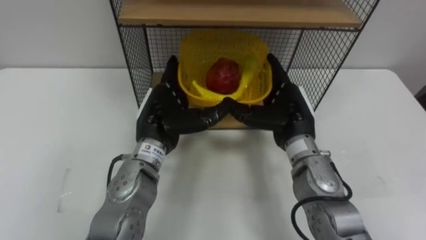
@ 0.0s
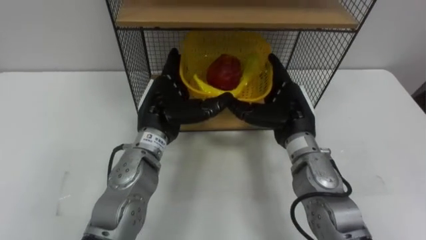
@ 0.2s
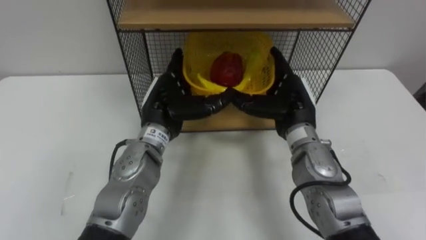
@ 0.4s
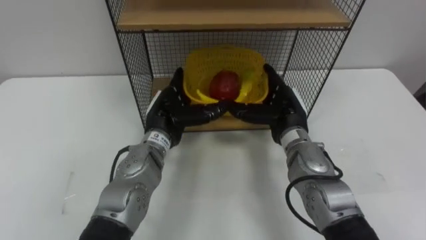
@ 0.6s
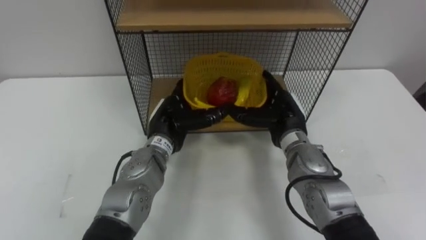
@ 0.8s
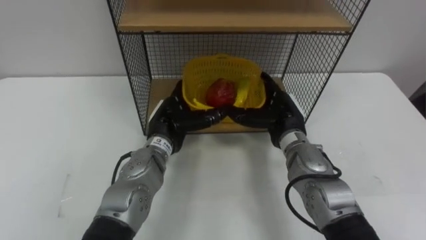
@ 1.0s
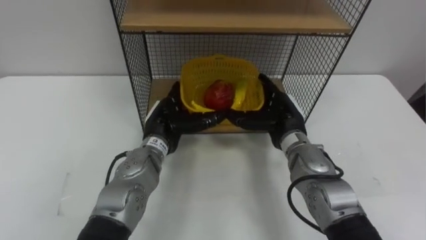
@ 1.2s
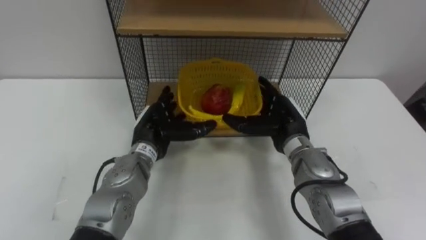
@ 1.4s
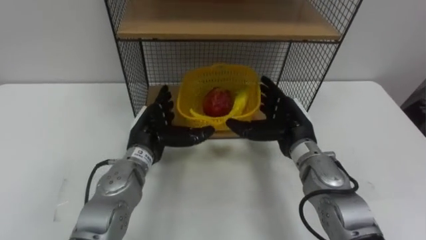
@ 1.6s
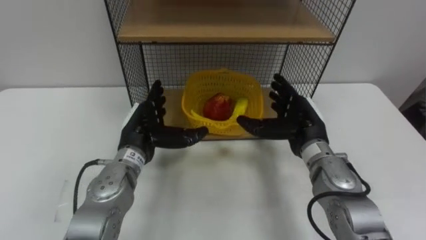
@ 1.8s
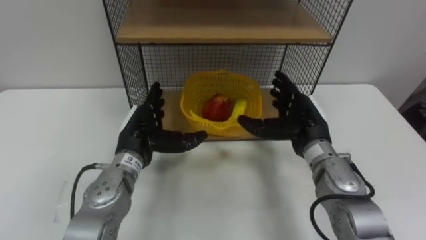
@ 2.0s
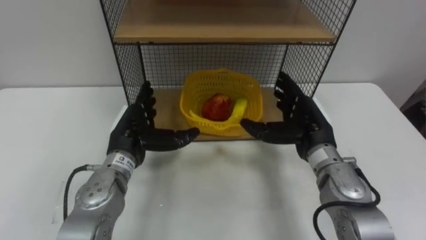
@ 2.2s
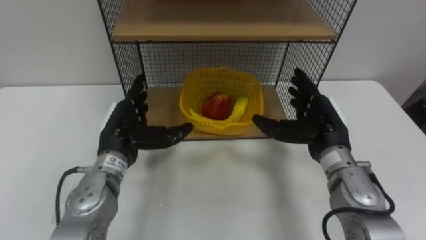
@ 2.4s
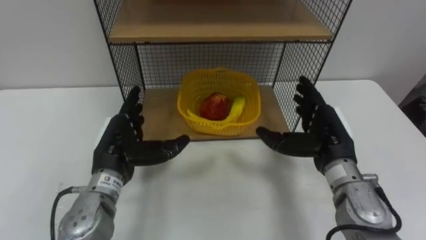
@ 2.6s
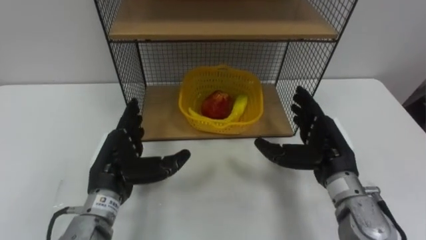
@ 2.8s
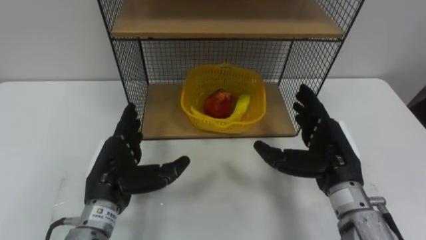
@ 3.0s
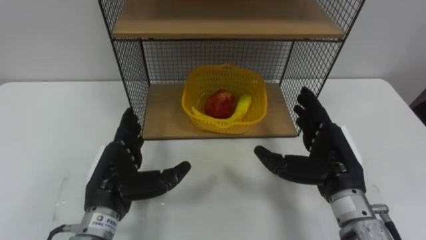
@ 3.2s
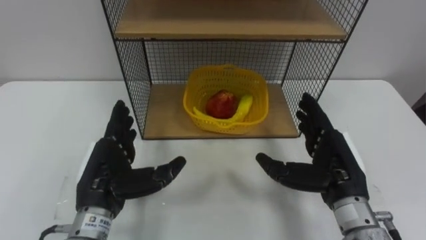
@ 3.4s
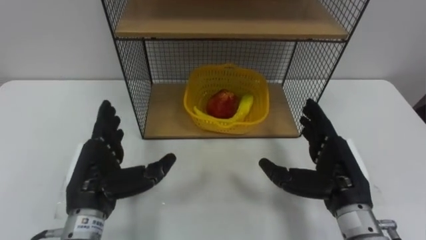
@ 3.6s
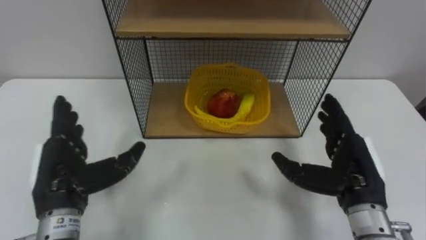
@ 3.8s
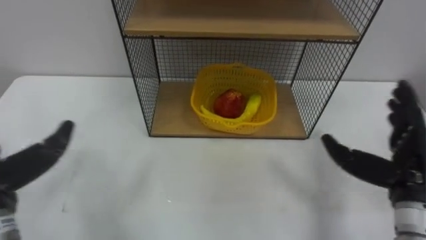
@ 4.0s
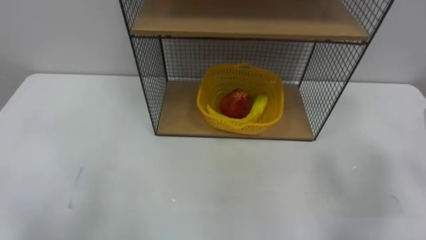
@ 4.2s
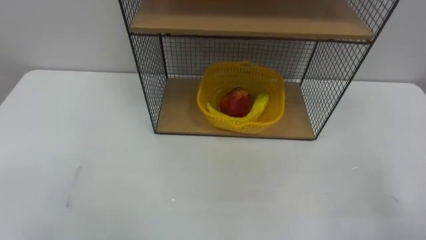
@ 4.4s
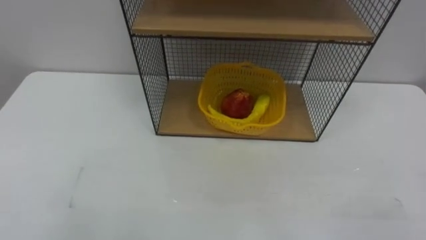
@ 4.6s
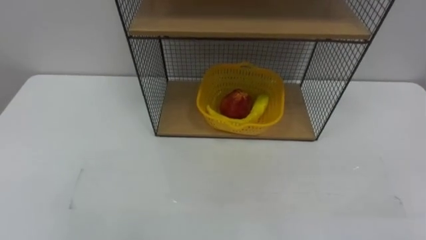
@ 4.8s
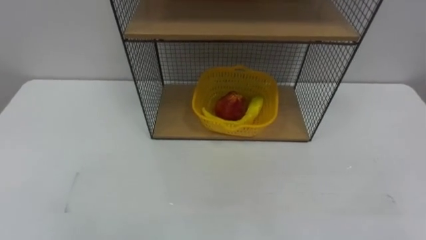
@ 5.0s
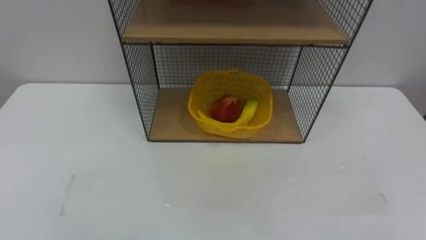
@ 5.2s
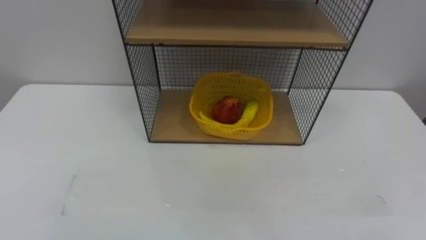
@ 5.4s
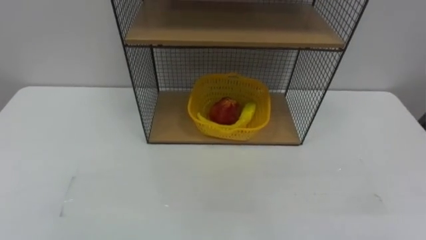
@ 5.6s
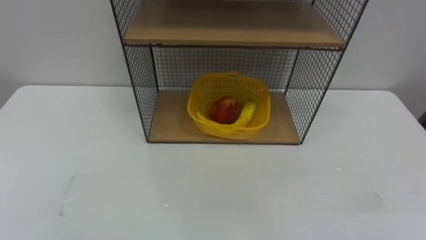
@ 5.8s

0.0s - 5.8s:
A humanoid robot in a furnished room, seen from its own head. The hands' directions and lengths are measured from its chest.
Task of the whole recording: Put the fruit on the table into the basket, then place the basket on the shelf.
0.0s - 1.4s: The left hand heads downward, covering some 5 cm.
1.4s - 2.8s: The right hand heads backward and to the right, covering roughly 10 cm; the left hand goes roughly 10 cm backward and to the left.

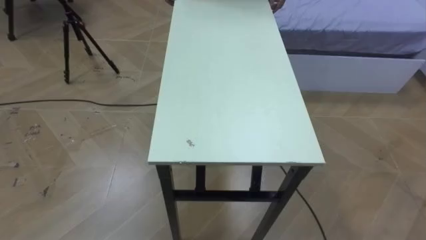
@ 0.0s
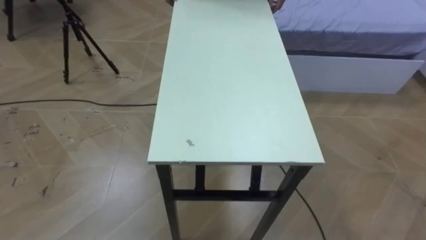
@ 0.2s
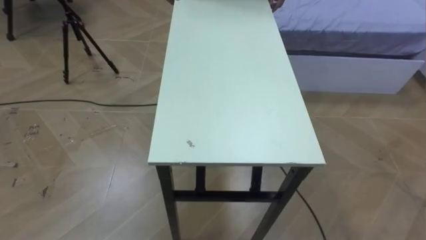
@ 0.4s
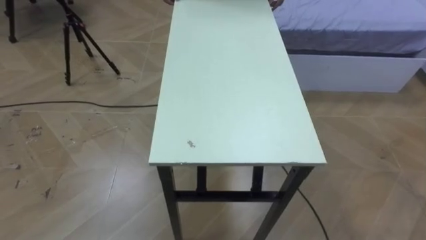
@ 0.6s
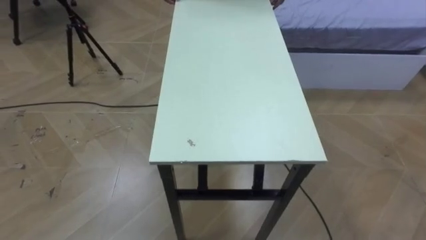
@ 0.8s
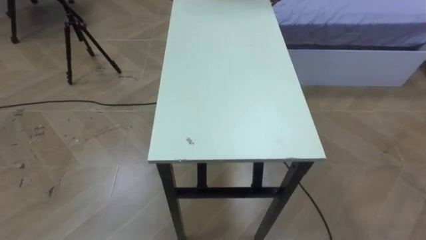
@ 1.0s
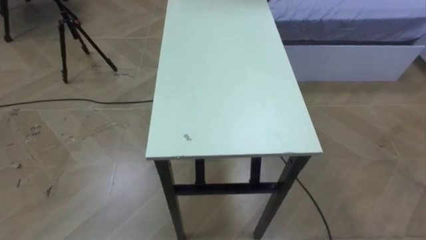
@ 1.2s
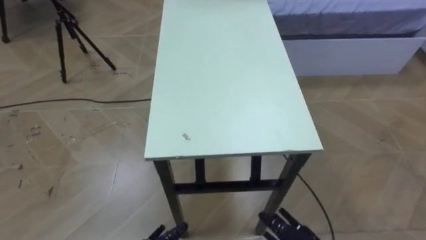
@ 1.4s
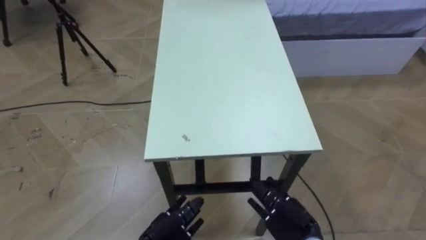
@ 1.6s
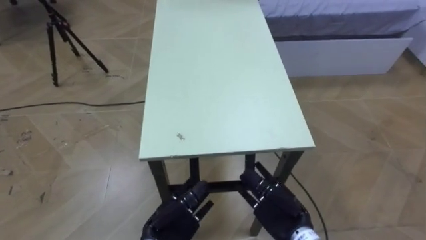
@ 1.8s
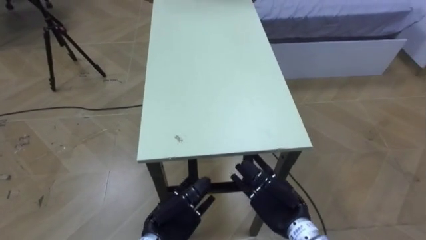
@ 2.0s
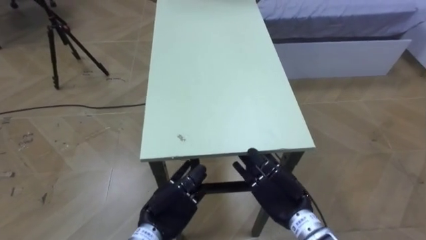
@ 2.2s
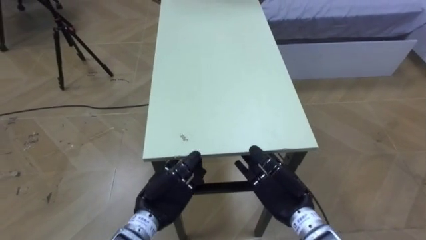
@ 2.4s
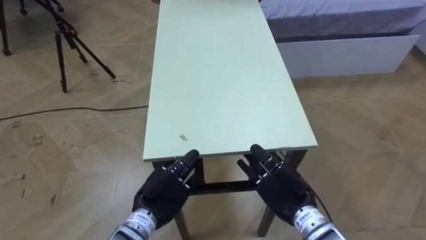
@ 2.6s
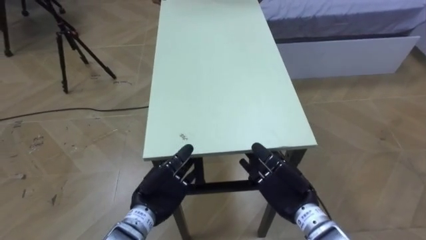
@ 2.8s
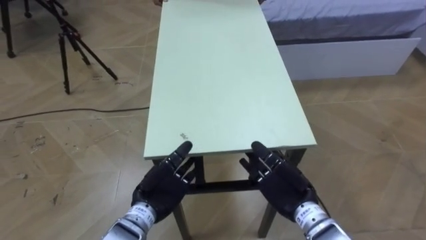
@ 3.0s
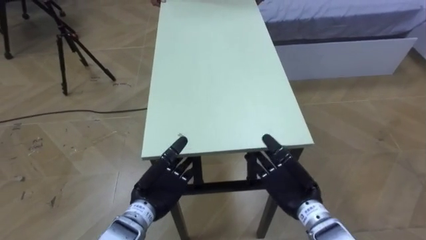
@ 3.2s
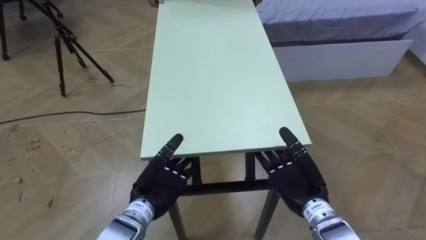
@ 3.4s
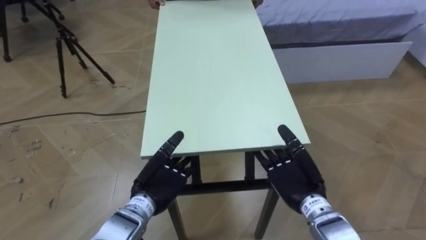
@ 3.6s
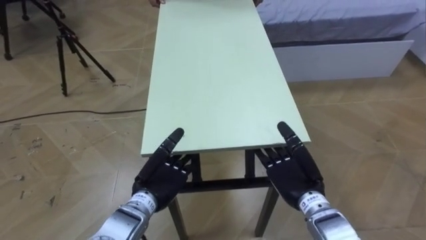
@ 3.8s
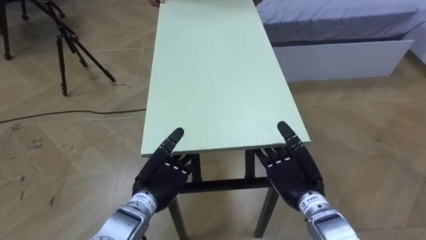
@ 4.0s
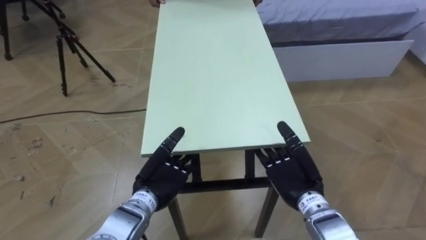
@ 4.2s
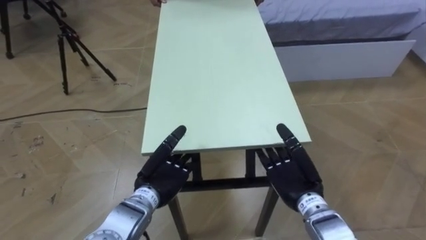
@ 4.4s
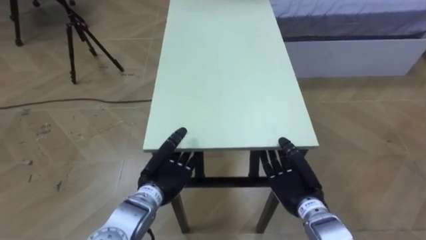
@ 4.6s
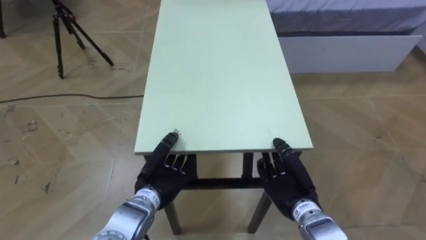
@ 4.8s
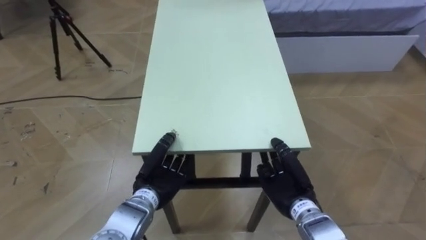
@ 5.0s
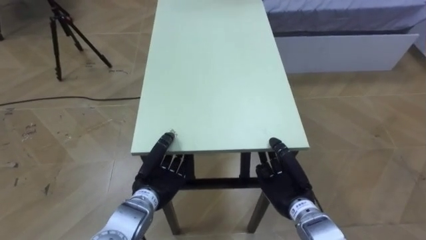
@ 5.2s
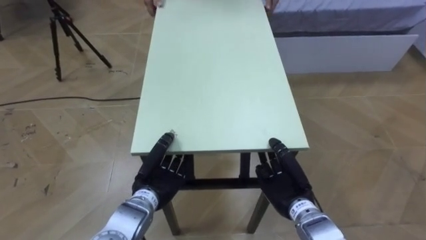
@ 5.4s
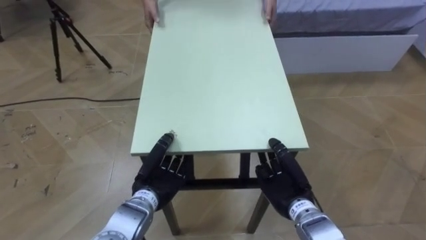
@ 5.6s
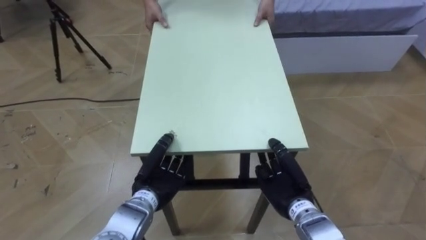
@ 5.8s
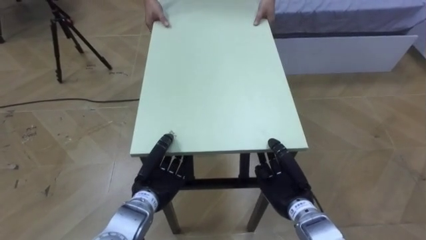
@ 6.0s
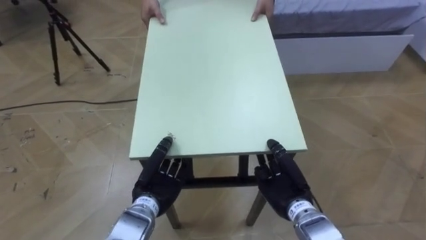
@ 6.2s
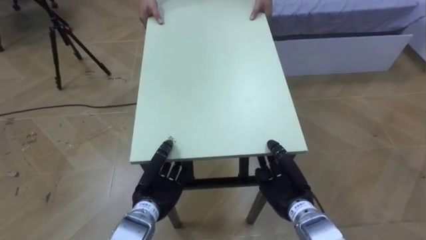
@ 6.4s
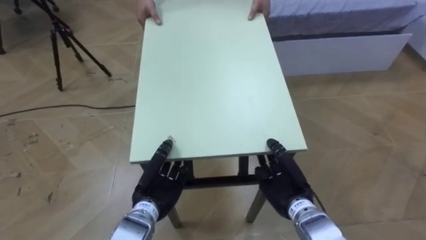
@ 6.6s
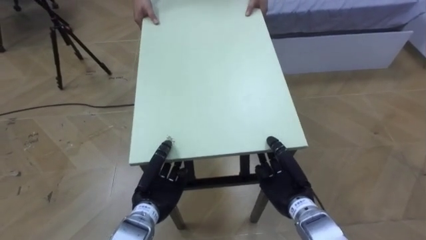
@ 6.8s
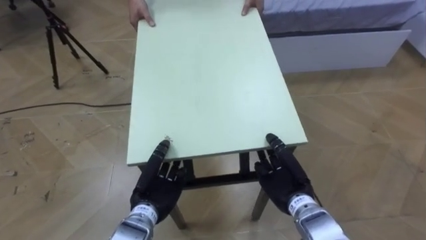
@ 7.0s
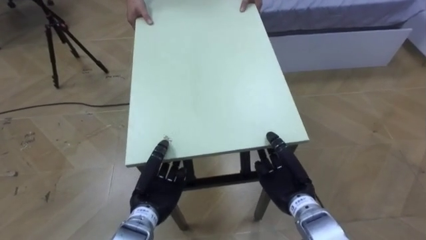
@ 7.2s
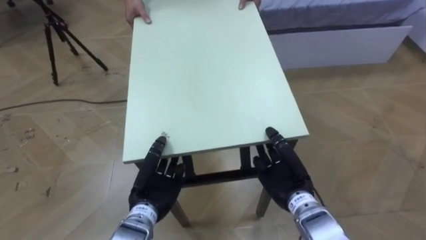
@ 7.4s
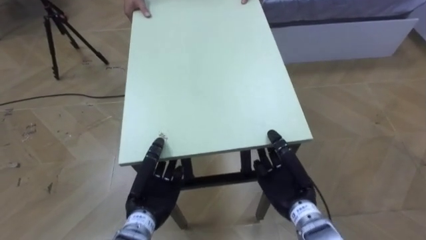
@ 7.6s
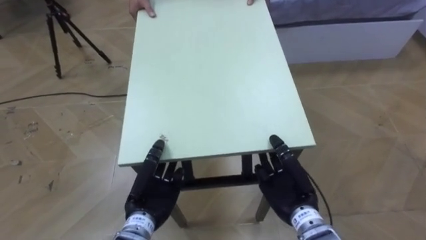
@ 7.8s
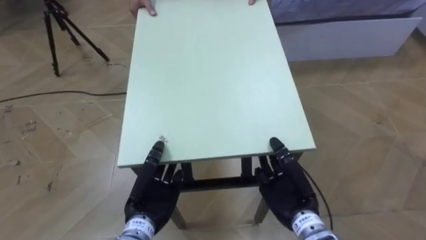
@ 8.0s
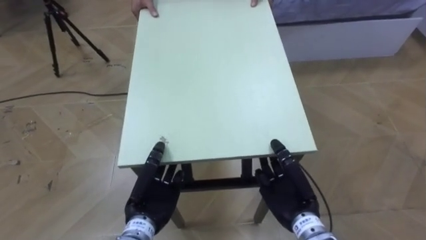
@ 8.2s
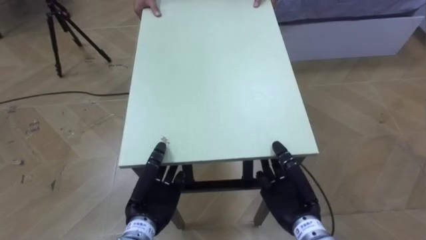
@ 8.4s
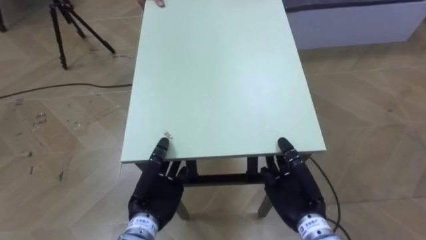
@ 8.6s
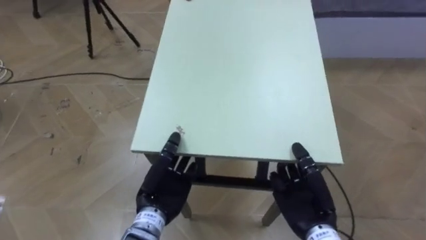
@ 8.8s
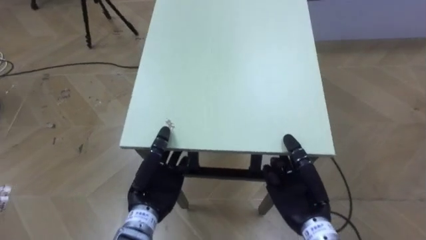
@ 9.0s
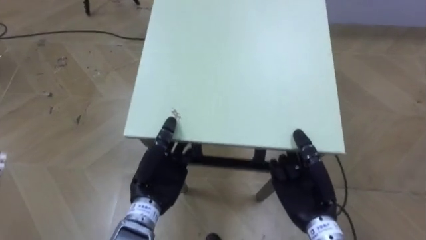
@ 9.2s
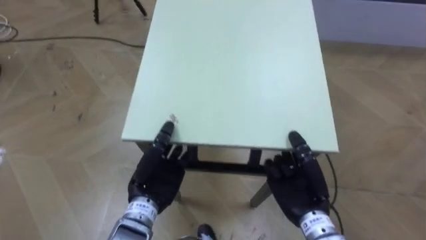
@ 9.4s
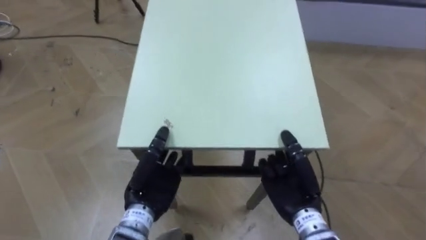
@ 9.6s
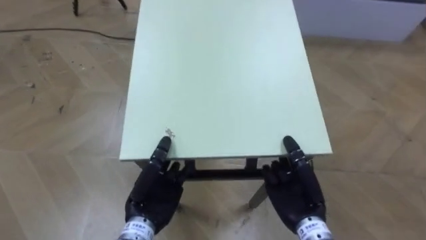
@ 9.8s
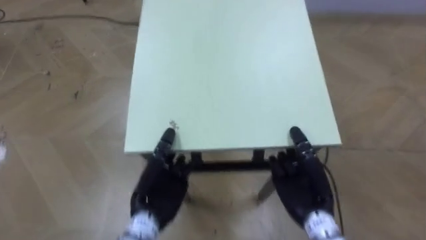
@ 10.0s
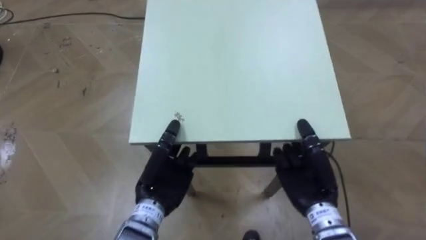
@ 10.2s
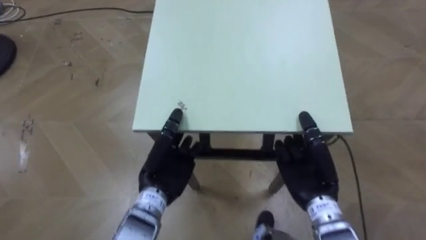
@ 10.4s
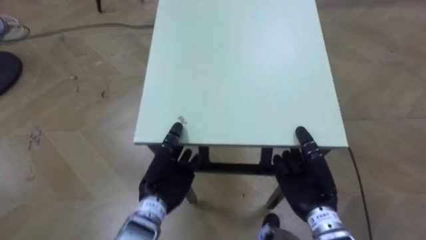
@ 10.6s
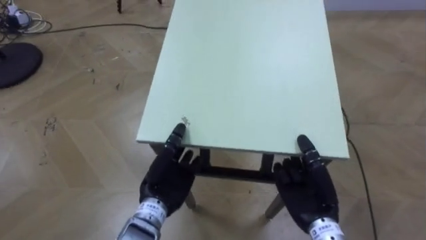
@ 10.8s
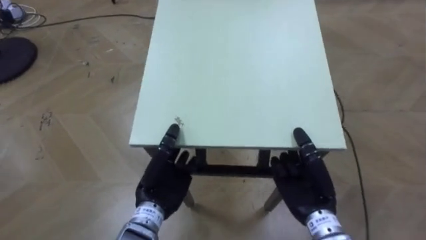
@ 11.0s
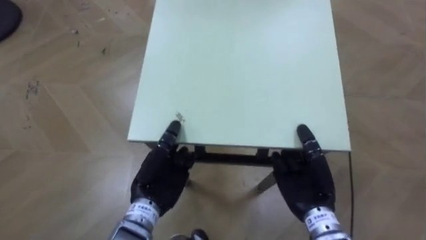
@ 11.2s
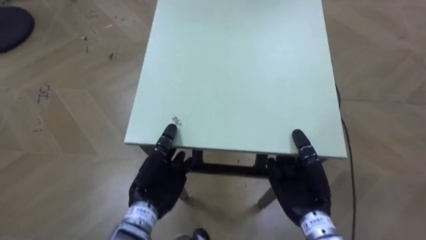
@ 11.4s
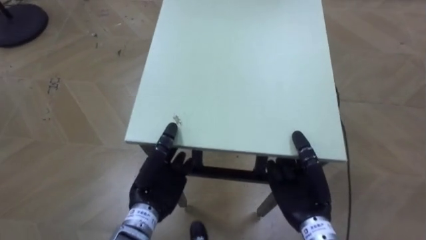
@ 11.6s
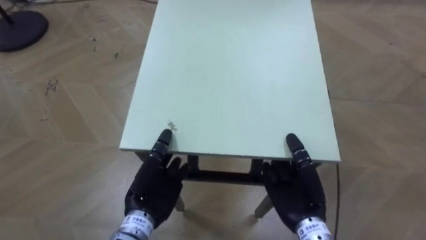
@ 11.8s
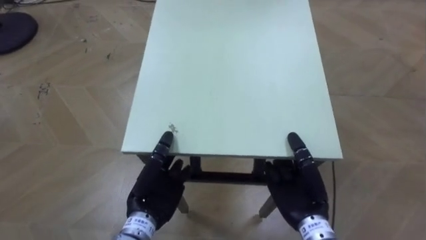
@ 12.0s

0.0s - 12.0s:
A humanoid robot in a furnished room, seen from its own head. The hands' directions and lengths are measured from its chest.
Task of the whole recording: Move the table to the back left with someone.
1.6s - 3.0s: The right hand shifts roughly 10 cm upward and forward. Meanwhile the left hand is displaced forward and upward by some 10 cm.
4.4s - 6.0s: The left hand closes up; the right hand closes its fingers.
